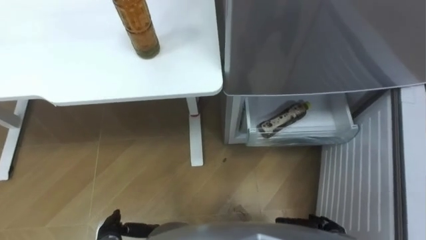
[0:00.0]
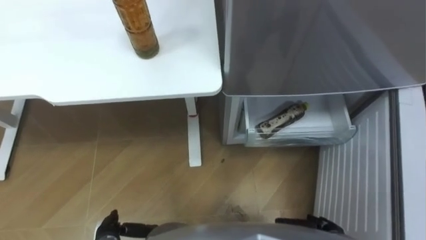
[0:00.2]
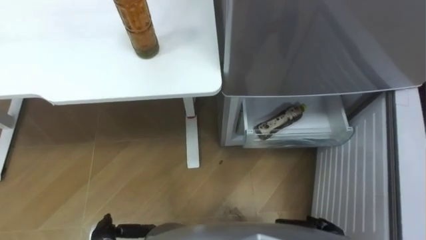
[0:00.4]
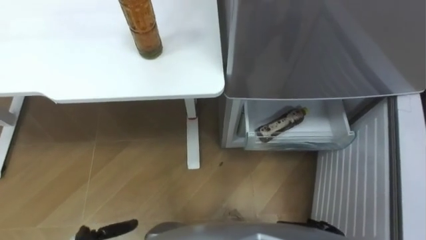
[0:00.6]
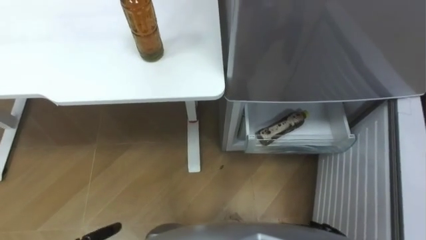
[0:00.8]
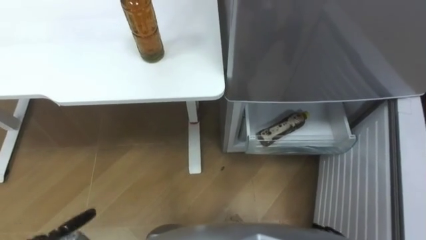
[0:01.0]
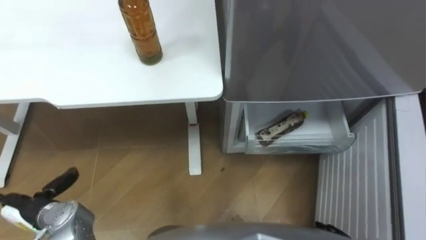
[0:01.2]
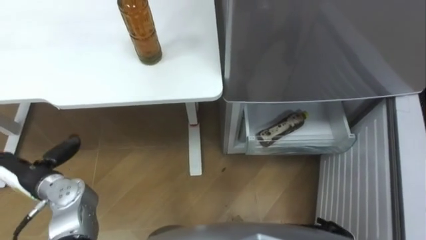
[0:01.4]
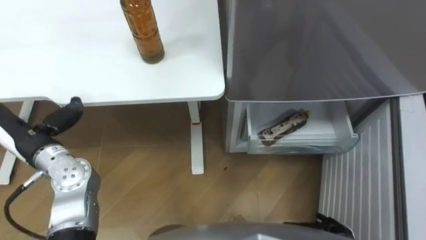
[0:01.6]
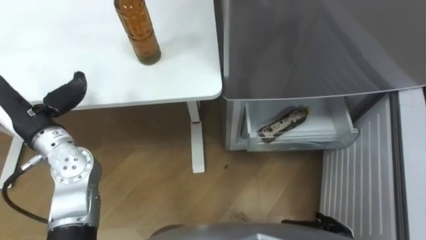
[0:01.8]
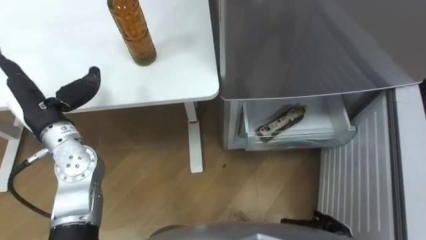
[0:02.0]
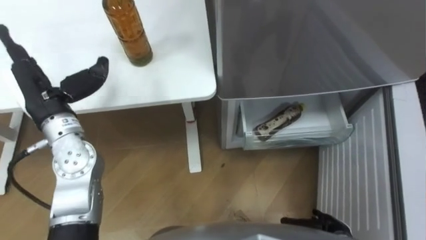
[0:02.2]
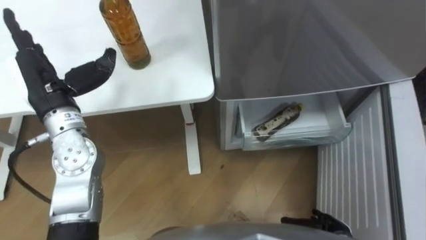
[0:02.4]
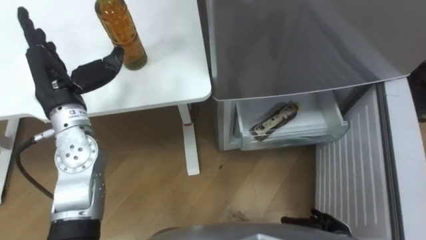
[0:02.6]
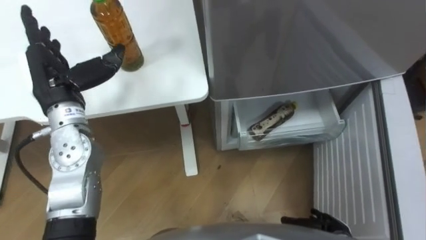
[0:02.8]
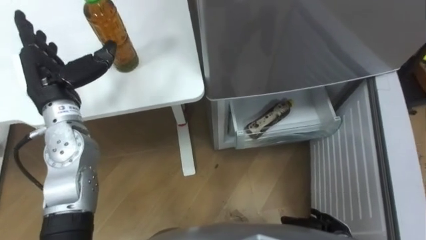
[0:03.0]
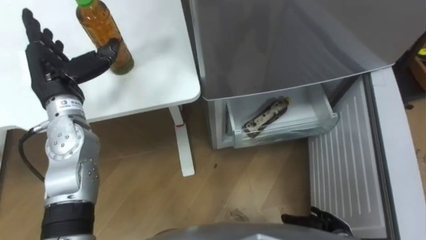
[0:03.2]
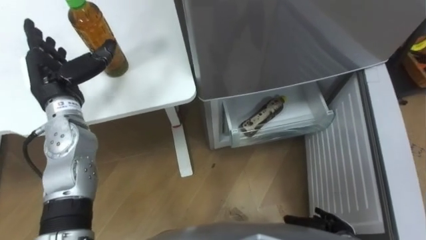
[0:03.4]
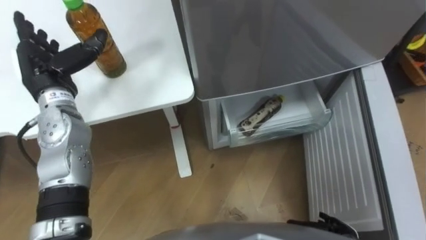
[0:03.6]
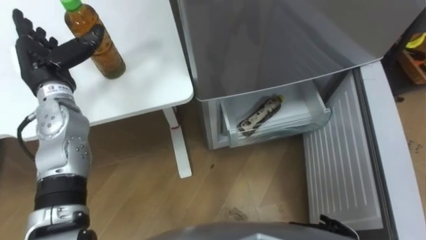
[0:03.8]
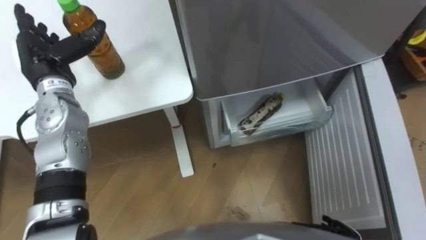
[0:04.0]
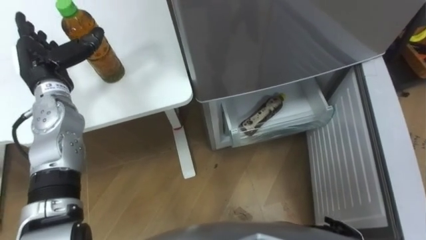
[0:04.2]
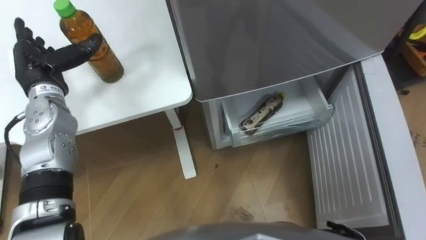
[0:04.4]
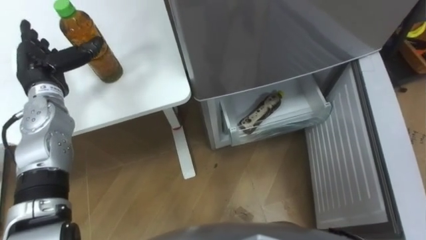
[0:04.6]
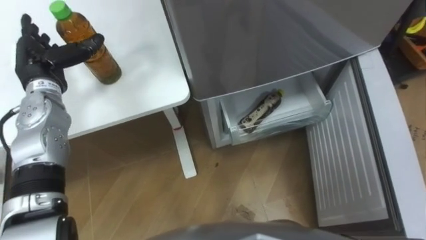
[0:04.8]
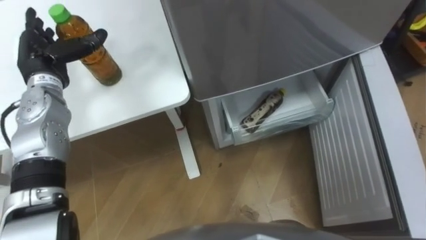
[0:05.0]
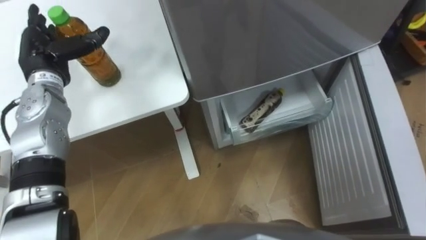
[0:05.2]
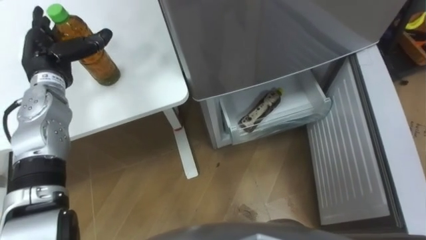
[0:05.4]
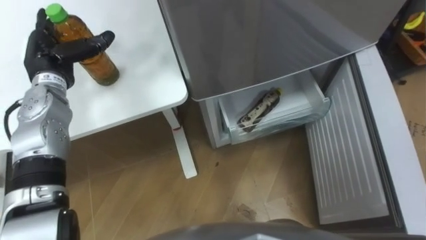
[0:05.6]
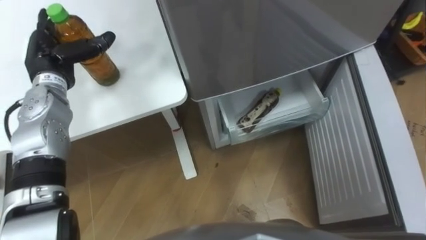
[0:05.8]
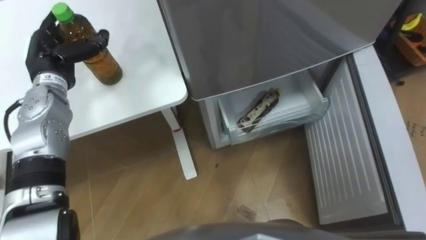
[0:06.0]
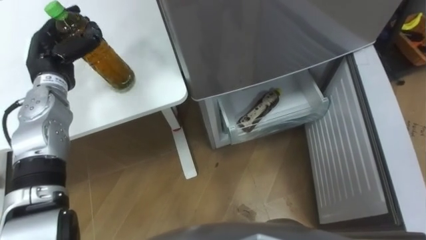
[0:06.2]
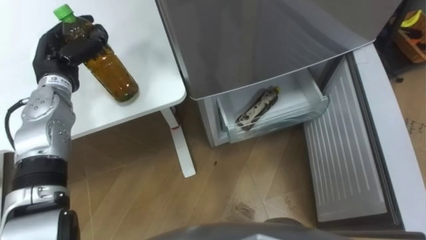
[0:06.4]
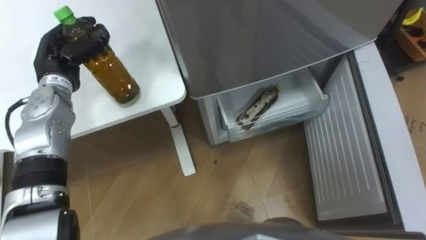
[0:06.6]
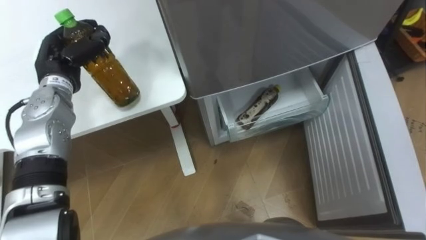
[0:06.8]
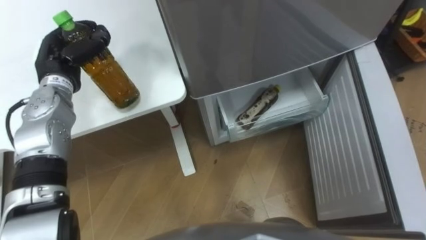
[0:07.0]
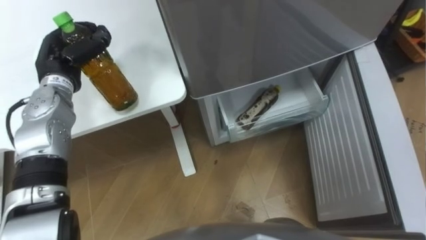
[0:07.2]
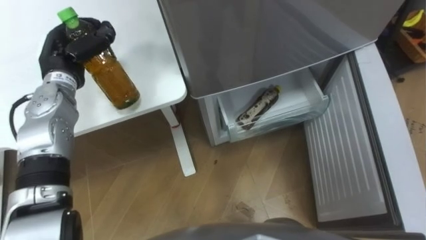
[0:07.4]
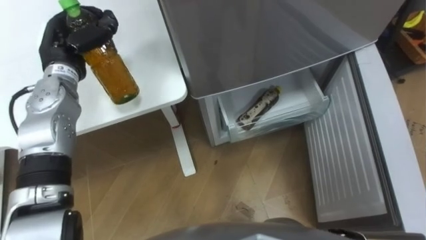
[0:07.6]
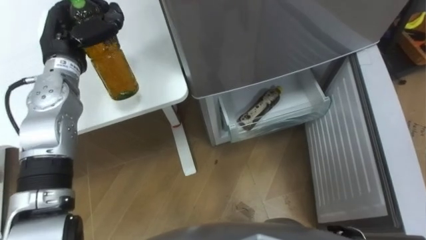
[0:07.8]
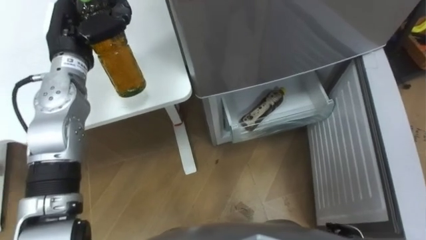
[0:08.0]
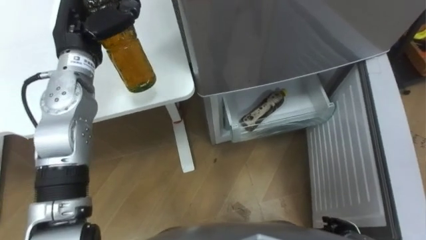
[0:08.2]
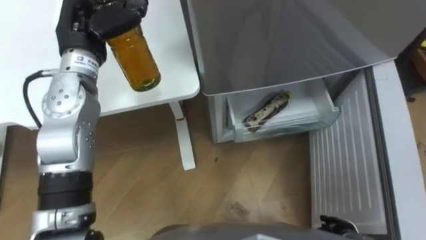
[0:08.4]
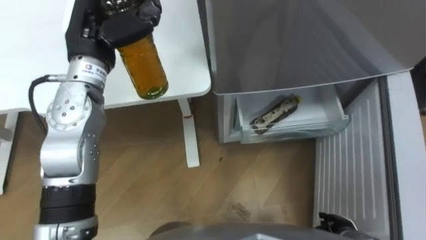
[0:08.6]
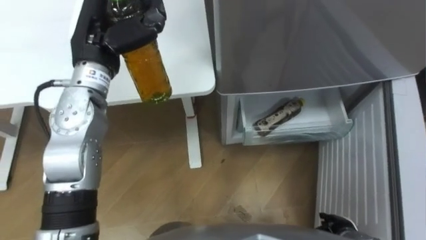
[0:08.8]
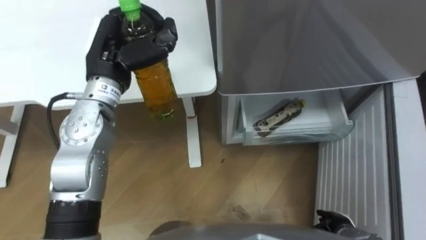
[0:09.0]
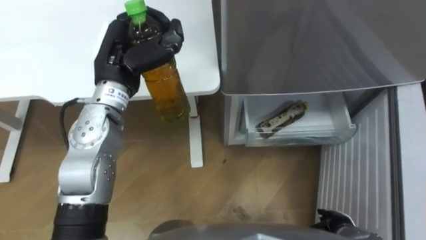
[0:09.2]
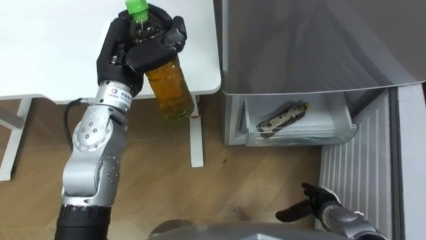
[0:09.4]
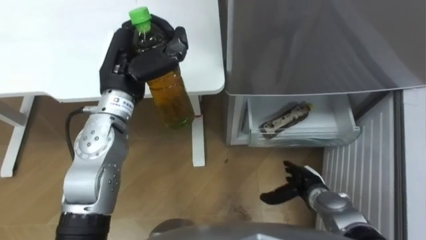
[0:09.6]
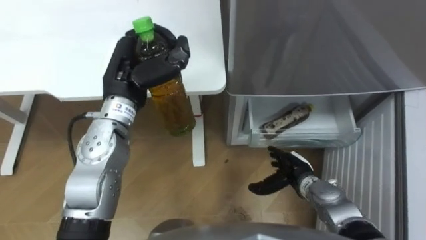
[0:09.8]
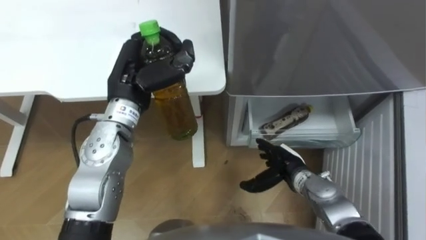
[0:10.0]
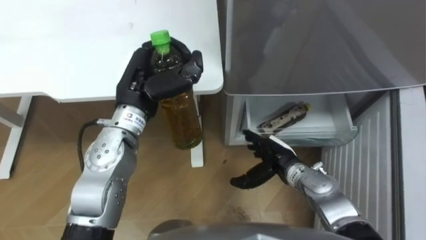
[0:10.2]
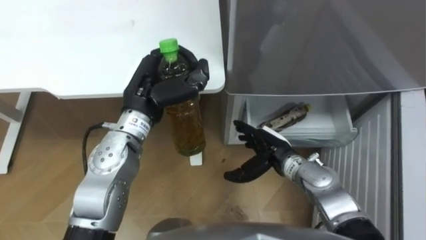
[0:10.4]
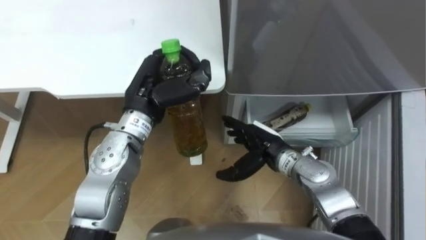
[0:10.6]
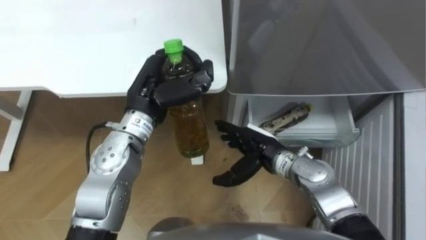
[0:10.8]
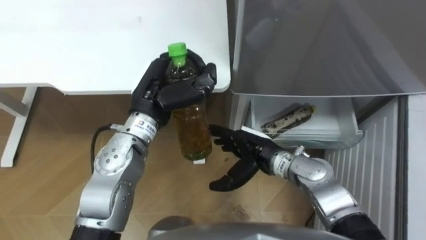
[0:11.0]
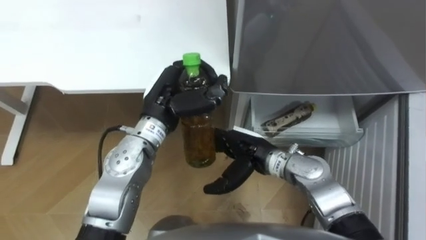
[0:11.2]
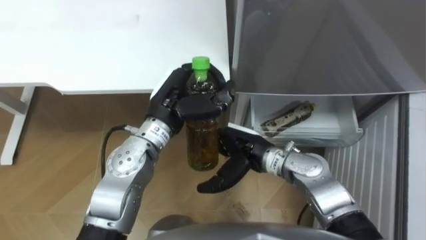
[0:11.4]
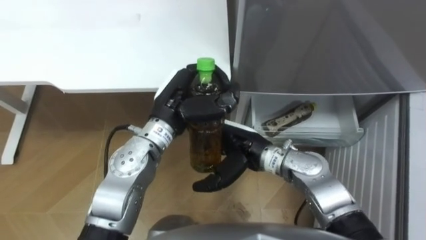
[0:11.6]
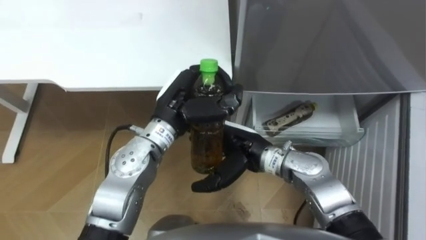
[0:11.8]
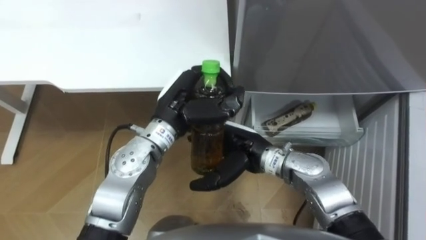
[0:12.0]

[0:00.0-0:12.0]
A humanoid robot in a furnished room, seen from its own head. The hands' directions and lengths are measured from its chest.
Task of the whole recording: Place the drink on the table on the bottom shelf of the refrigerator, then close the drawer and the refrigerator door.
0:01.6 to 0:03.0: The left hand shifts some 10 cm forward, upward and to the right.
0:03.0 to 0:04.4: The left hand moves approximately 5 cm.
0:06.0 to 0:07.6: The left hand closes its fingers.
0:07.6 to 0:09.0: The left hand shifts roughly 10 cm to the right.
0:09.0 to 0:10.4: The right hand goes roughly 25 cm forward, to the left and upward. The left hand moves to the right, roughly 5 cm.
0:10.4 to 0:12.0: The left hand shifts some 5 cm to the right; the right hand heads to the left and upward, covering some 10 cm.

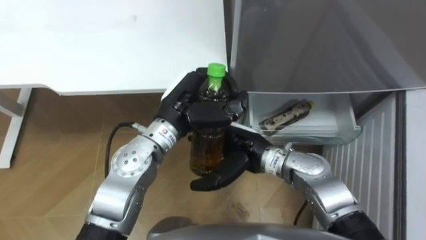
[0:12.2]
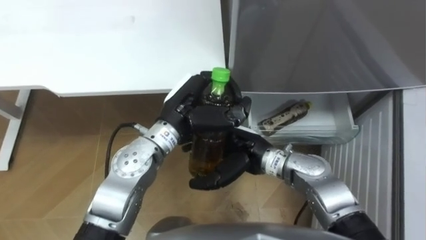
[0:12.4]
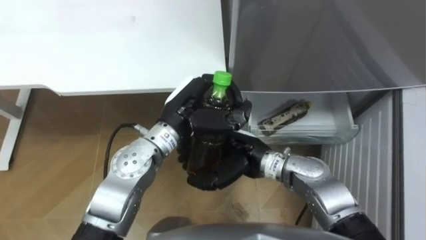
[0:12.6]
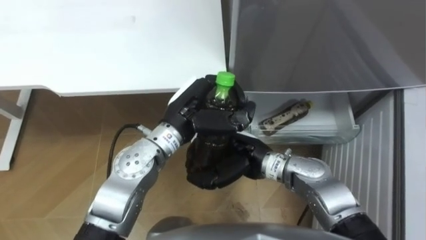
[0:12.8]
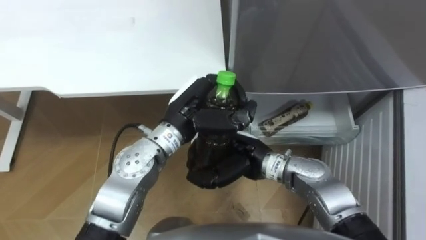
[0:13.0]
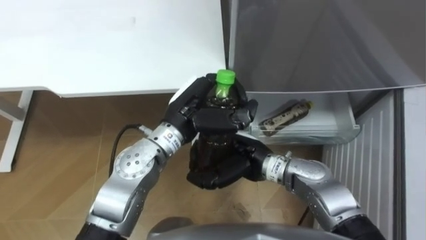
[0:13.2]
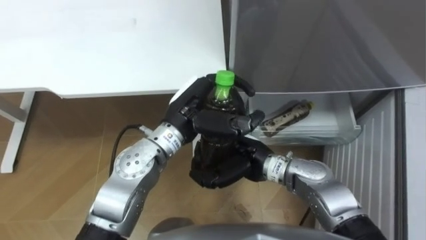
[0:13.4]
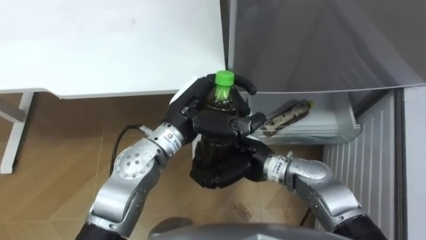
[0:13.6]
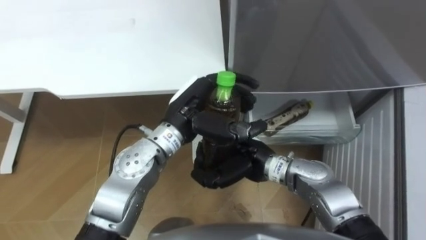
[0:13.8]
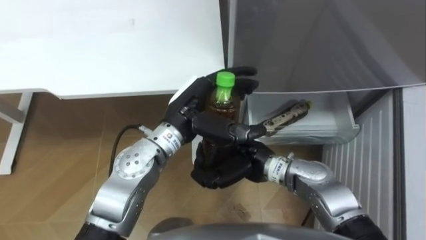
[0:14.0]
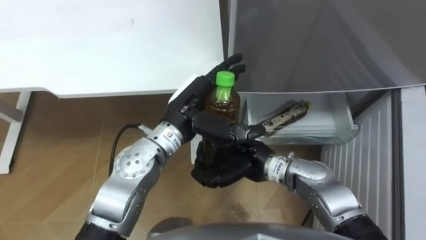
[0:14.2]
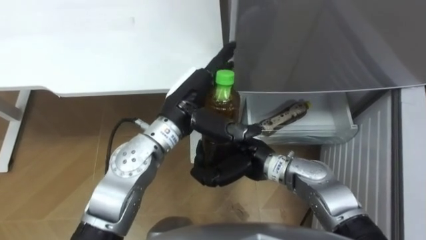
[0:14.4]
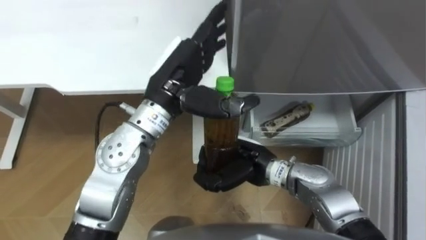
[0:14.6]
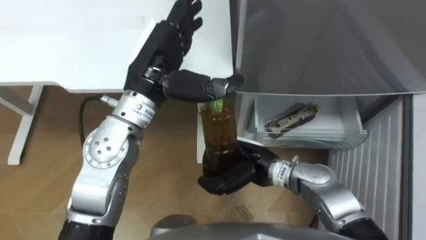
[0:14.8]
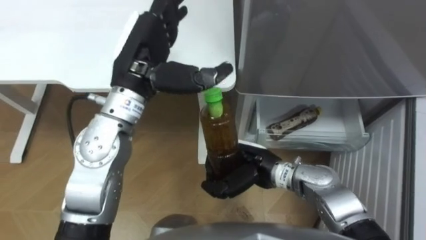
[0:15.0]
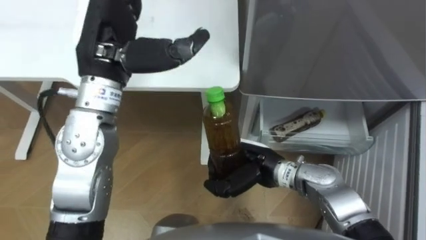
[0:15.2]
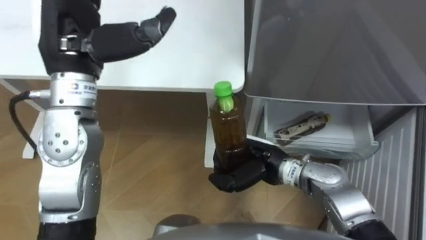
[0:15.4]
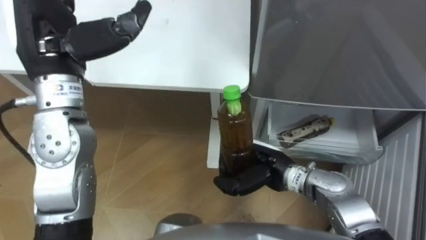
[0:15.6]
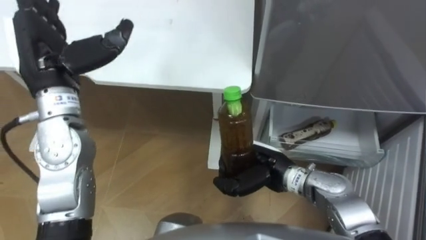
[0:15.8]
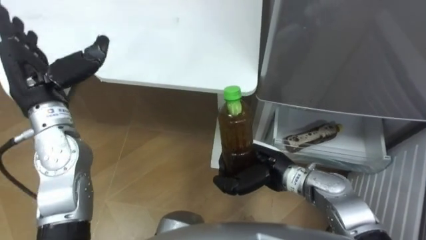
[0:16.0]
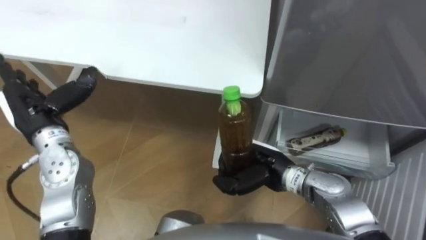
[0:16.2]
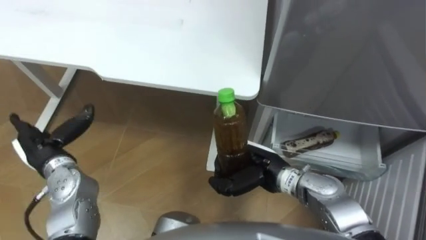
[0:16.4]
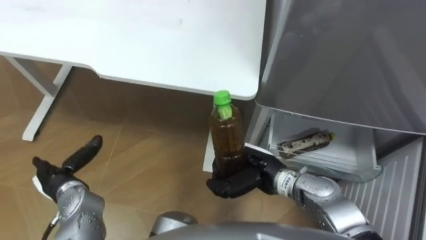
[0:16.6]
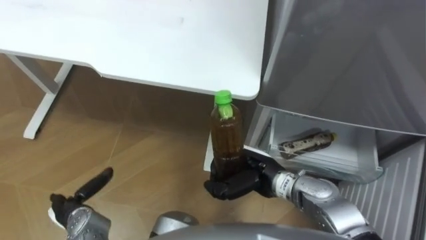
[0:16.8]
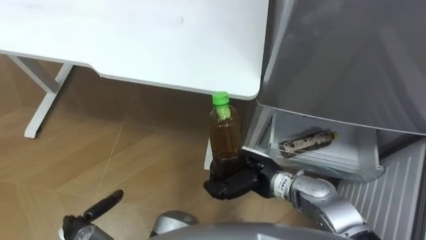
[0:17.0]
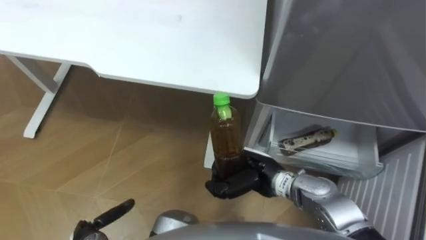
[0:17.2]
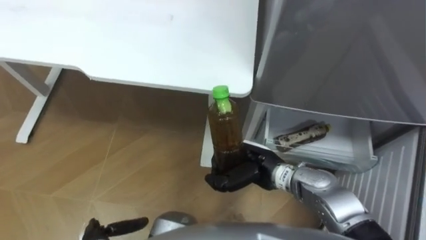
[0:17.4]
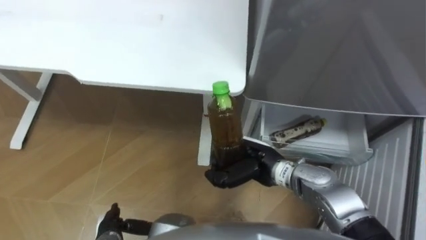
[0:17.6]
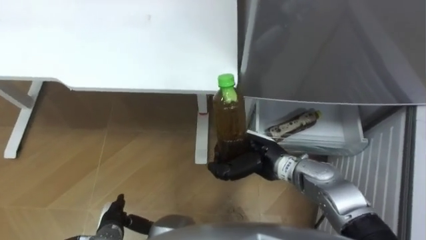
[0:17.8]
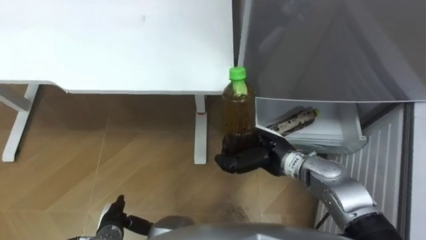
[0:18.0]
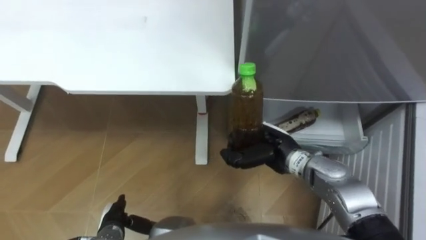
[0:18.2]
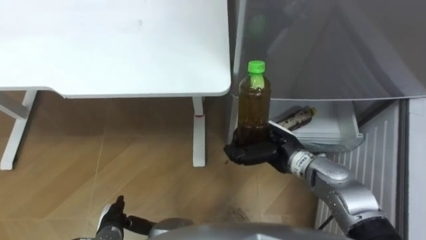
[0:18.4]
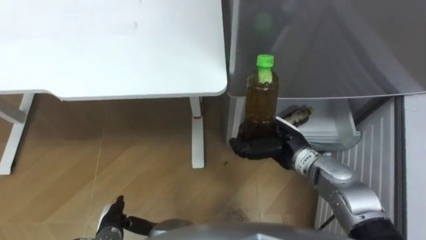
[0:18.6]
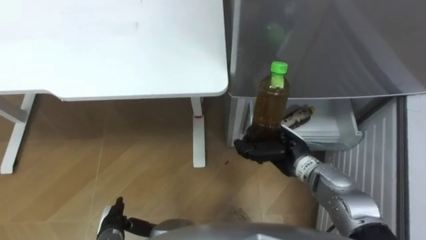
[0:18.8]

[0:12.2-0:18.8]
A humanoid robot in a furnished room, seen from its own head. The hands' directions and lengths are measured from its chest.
Task of the whole recording: Place the drink on the table on the bottom shelf of the refrigerator, then close the drawer and the refrigerator door.
0:12.2 to 0:13.8: The right hand closes its fingers. The left hand opens its fingers.
0:13.8 to 0:15.4: The left hand heads upward and to the left, covering about 20 cm, and opens its fingers.
0:15.4 to 0:17.2: The left hand shifts about 40 cm downward and backward.
0:17.2 to 0:18.8: The right hand goes about 10 cm to the right and forward.
